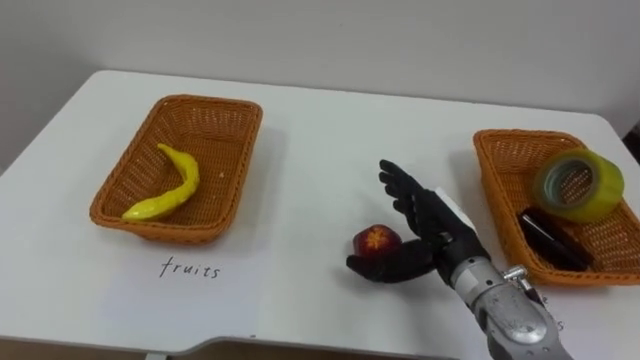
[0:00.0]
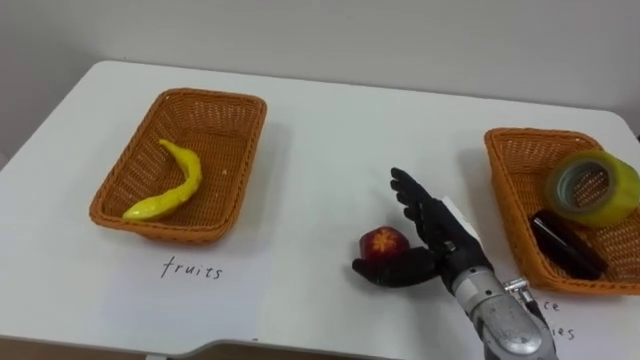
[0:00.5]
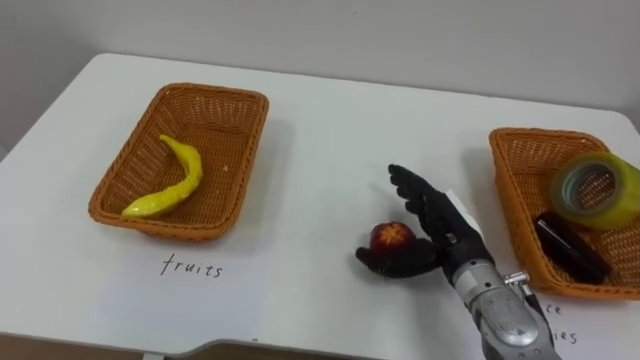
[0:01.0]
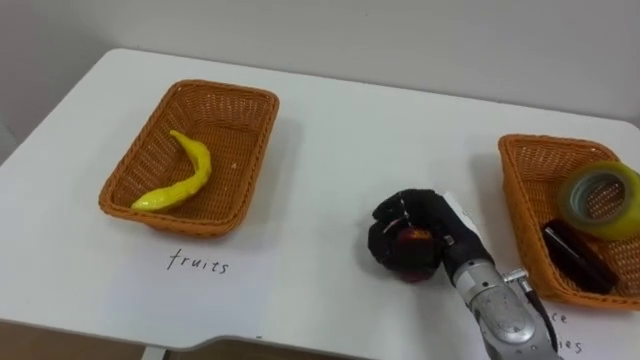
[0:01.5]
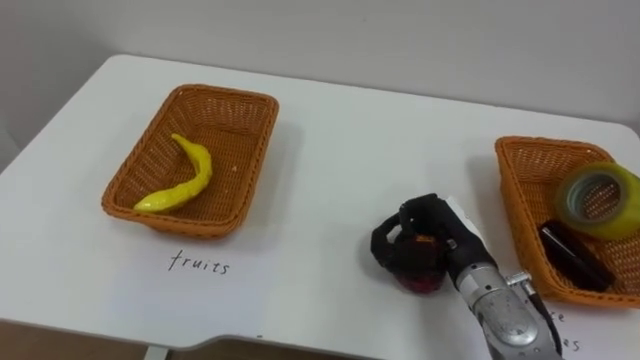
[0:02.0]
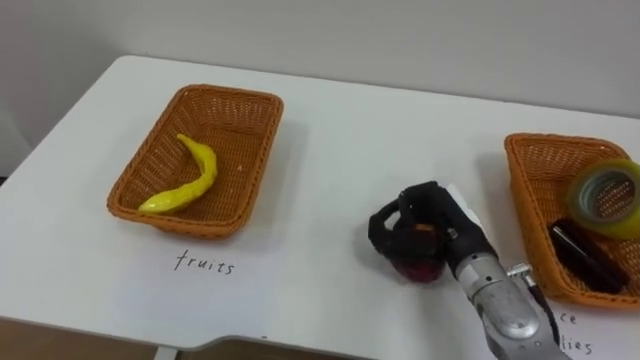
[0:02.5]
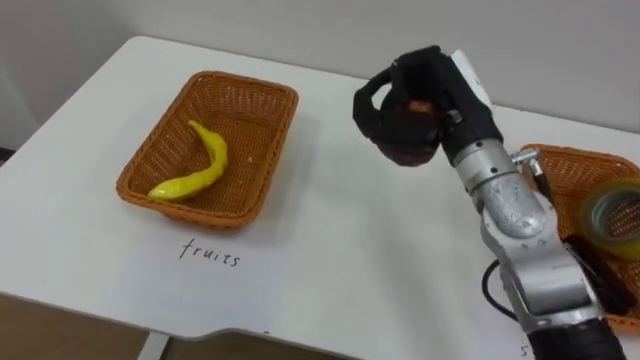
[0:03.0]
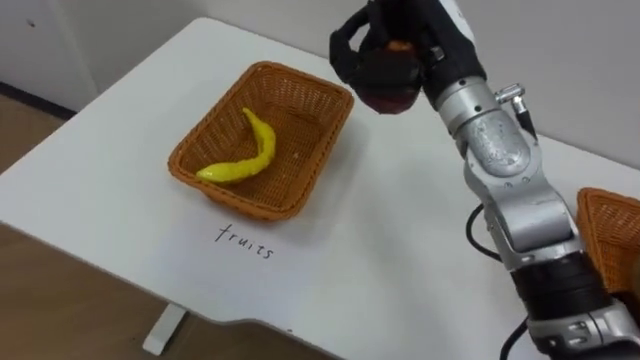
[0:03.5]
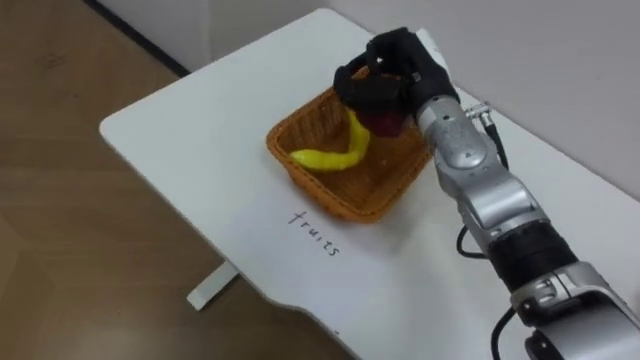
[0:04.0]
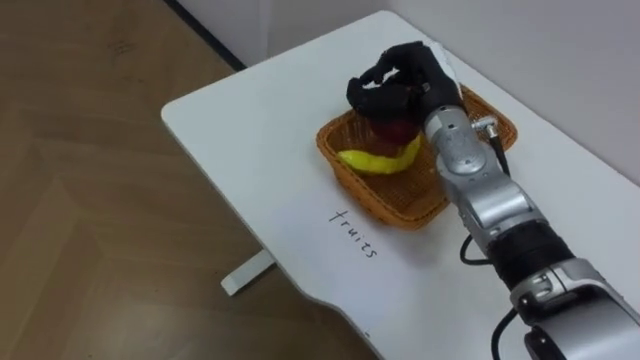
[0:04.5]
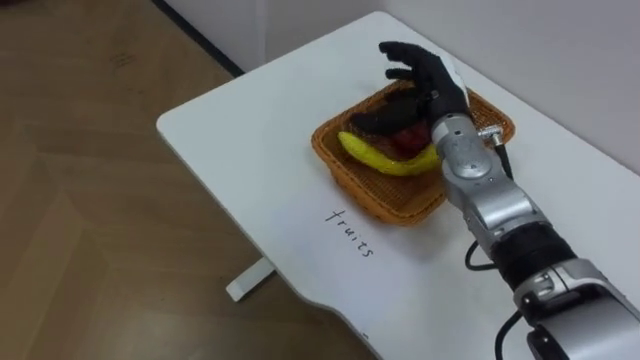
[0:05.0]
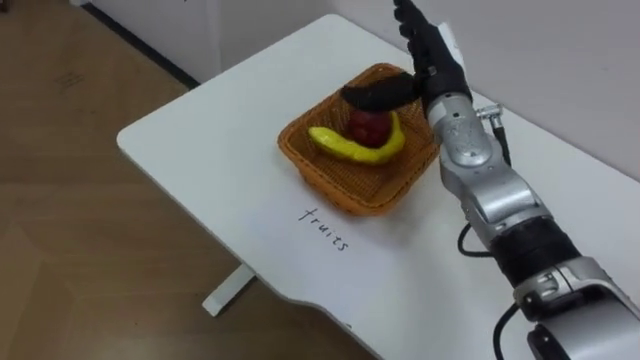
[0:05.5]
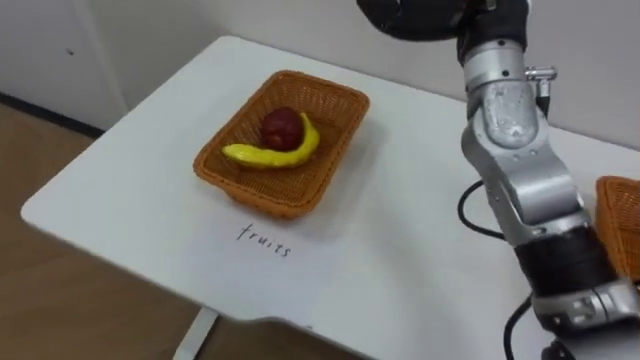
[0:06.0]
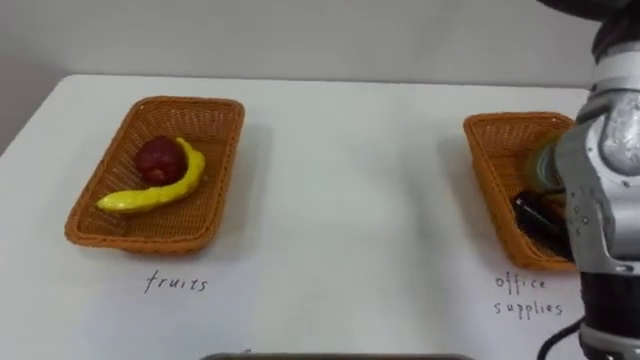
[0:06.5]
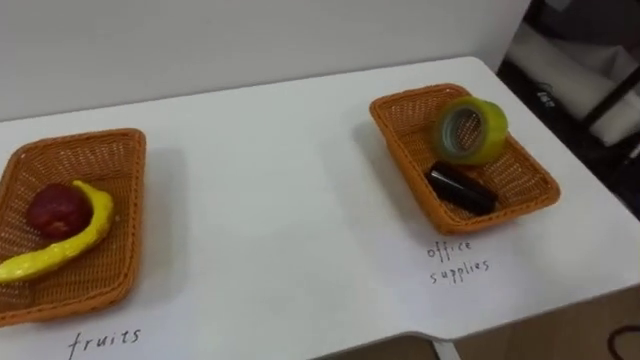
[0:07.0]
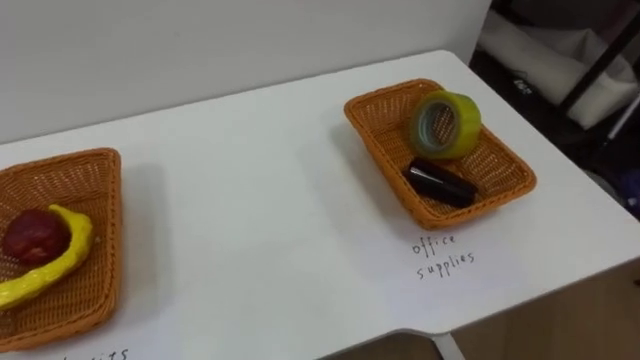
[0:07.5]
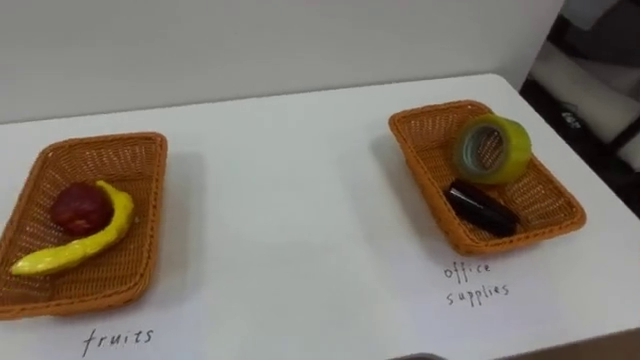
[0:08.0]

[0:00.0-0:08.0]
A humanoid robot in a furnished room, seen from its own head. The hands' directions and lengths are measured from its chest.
Task of the whole recording: Separate the items on the table and place them into the two baskets.
0:00.0 to 0:02.0: The right hand closes.
0:02.0 to 0:04.0: The right hand travels upward, forward and to the left by approximately 20 cm.
0:04.0 to 0:06.0: The right hand shifts roughly 10 cm upward, and opens its fingers.

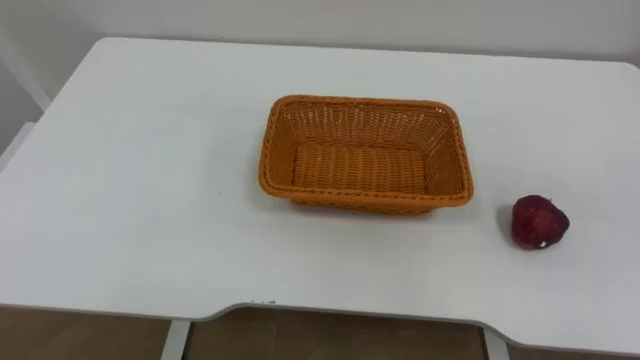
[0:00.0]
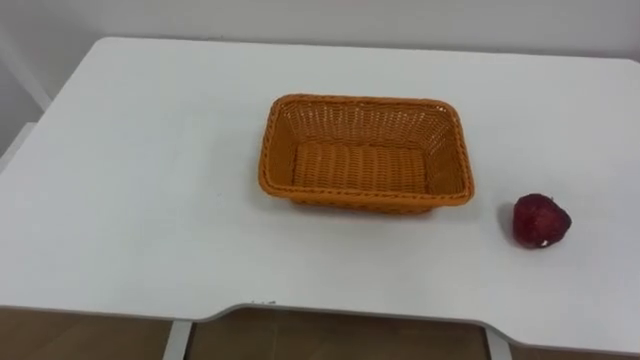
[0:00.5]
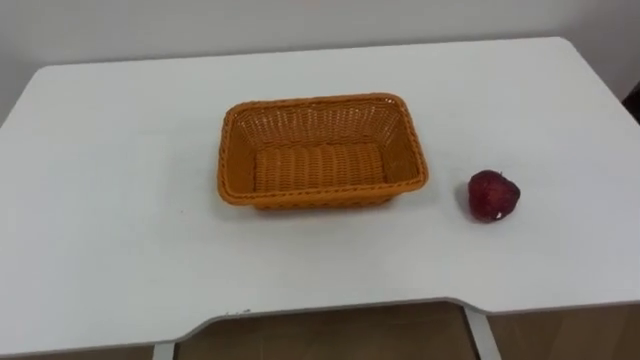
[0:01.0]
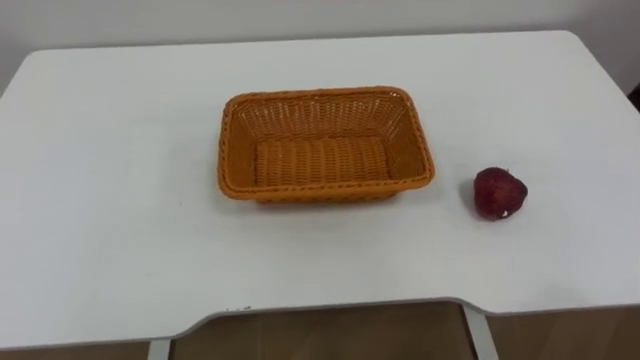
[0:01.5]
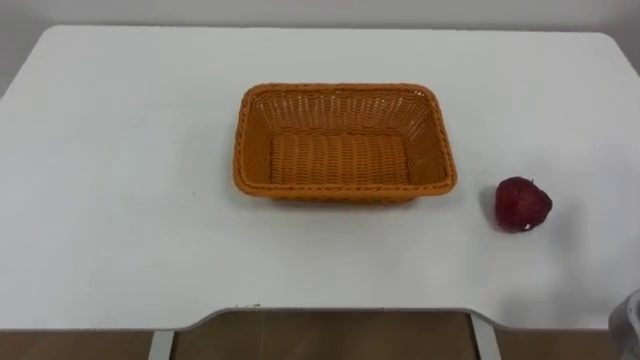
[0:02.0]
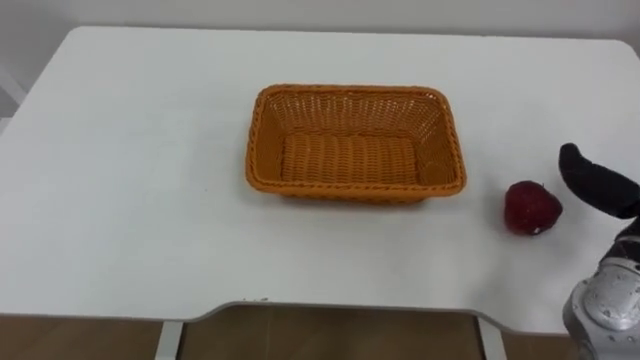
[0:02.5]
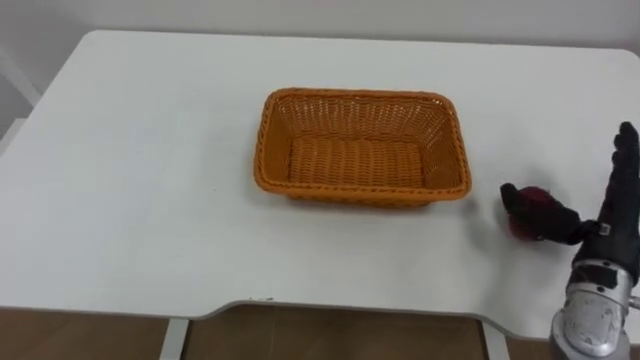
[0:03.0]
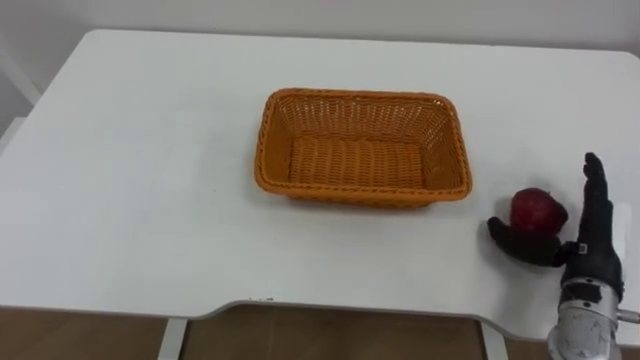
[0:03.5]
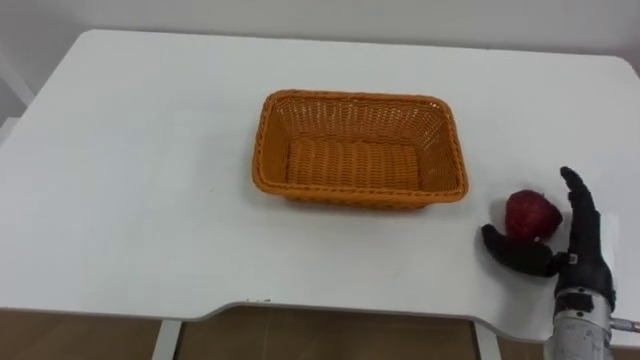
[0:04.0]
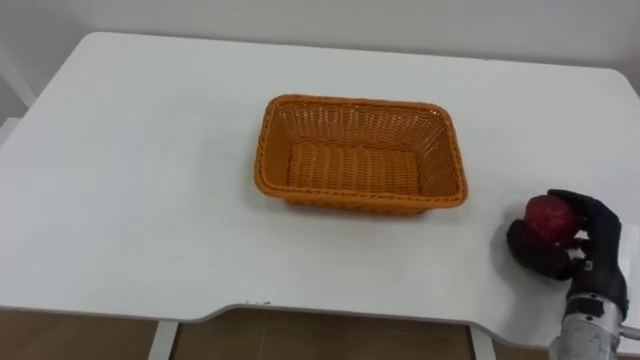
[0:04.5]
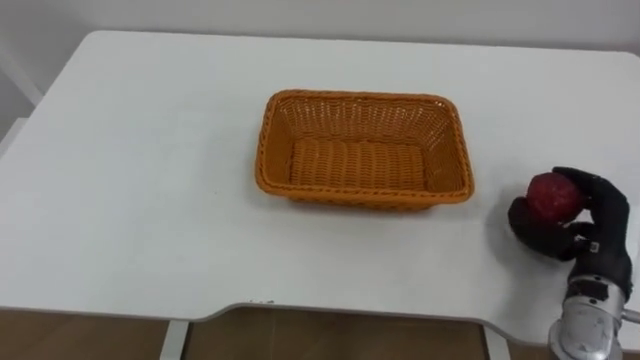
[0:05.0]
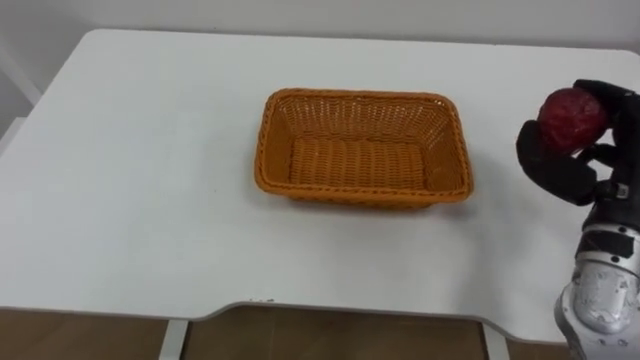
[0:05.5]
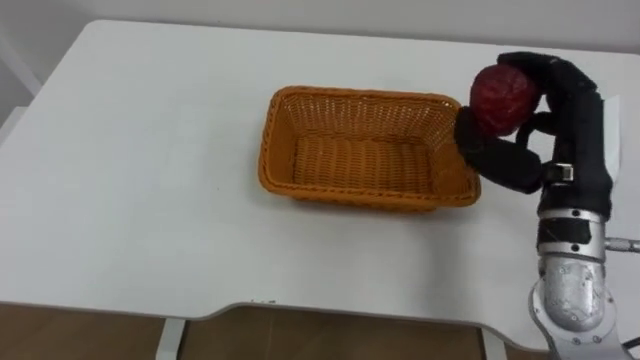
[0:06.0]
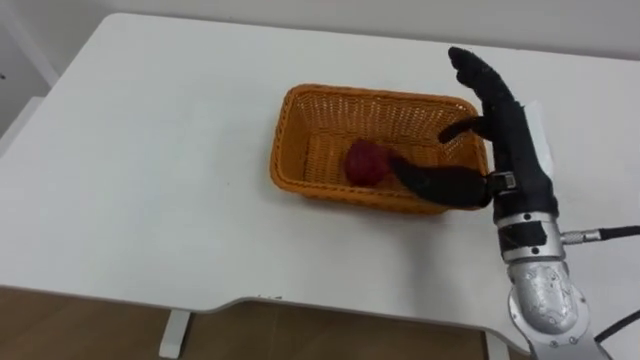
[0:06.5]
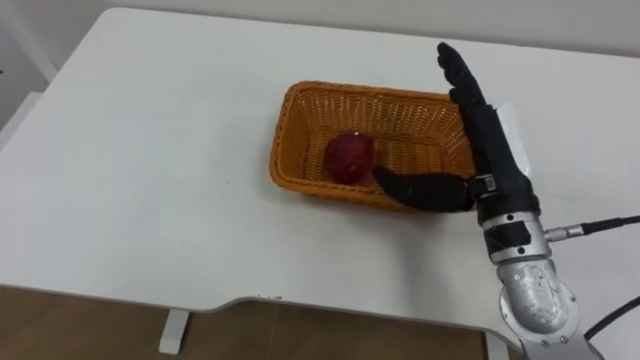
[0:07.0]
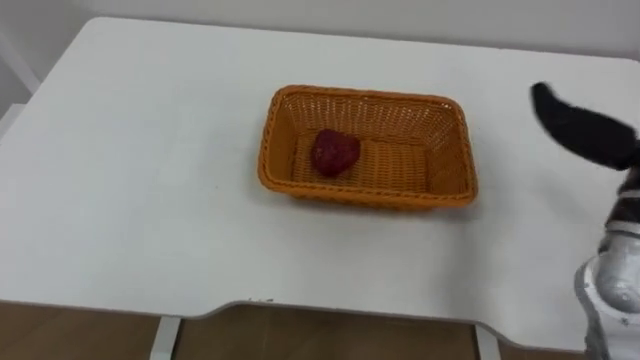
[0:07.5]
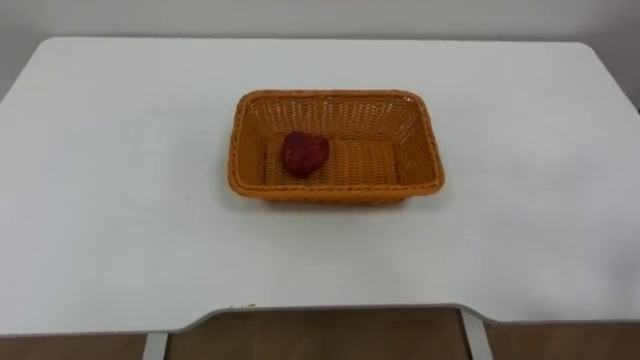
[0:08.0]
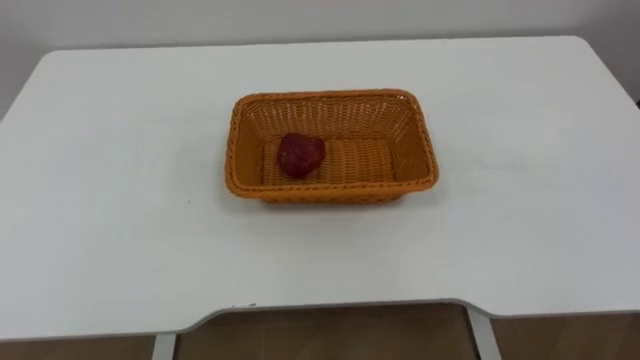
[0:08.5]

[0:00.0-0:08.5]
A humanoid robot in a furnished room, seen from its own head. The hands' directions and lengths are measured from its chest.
Task of the whole recording: Pick the apple and place it in the box.
0:04.0 to 0:06.5: The right hand is displaced upward and to the left by about 20 cm, and closes and opens again.

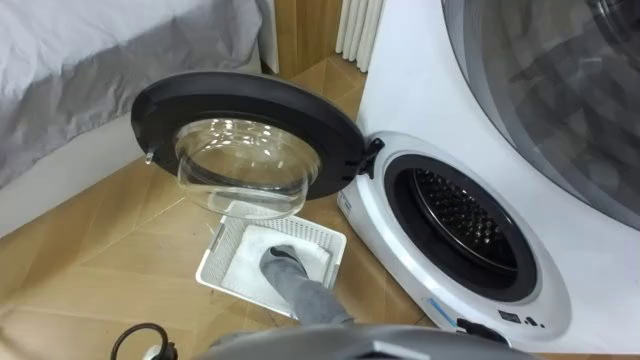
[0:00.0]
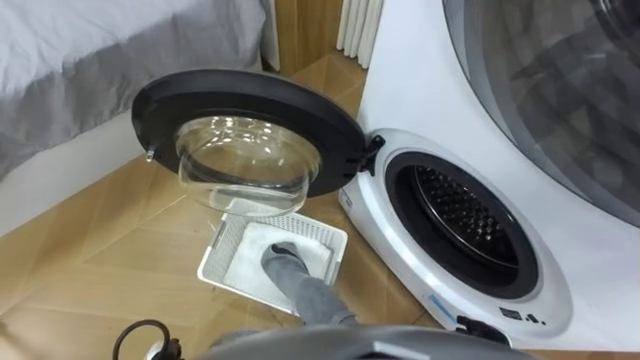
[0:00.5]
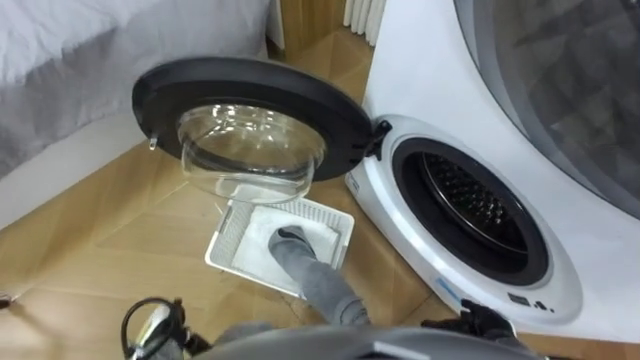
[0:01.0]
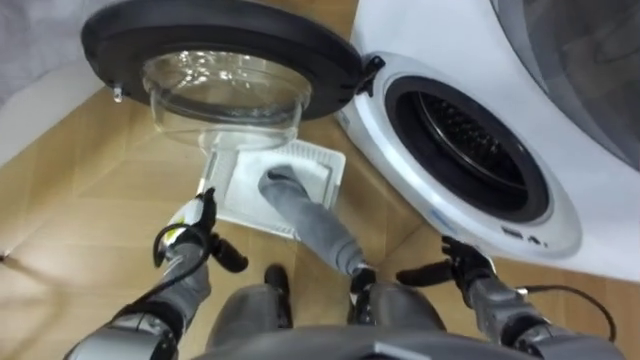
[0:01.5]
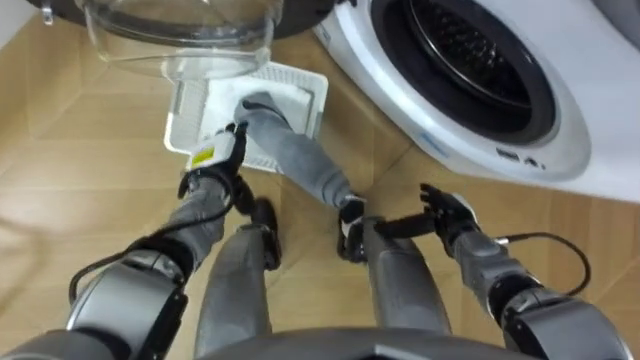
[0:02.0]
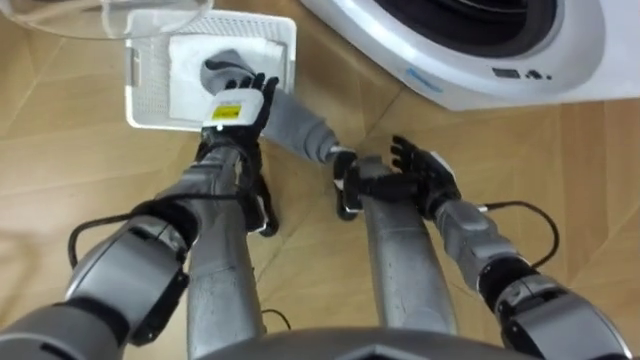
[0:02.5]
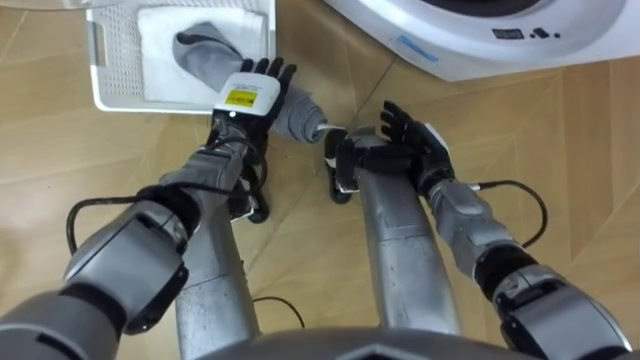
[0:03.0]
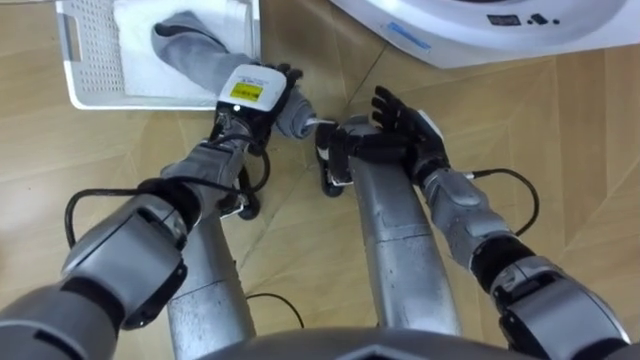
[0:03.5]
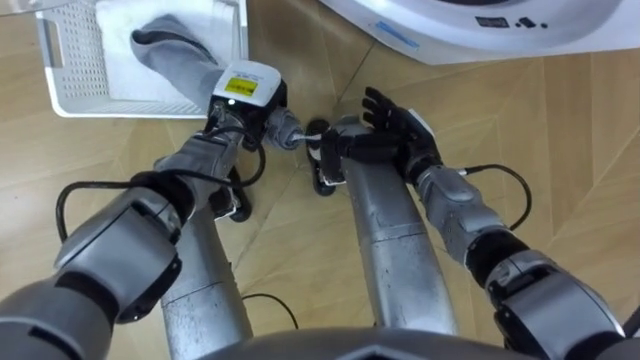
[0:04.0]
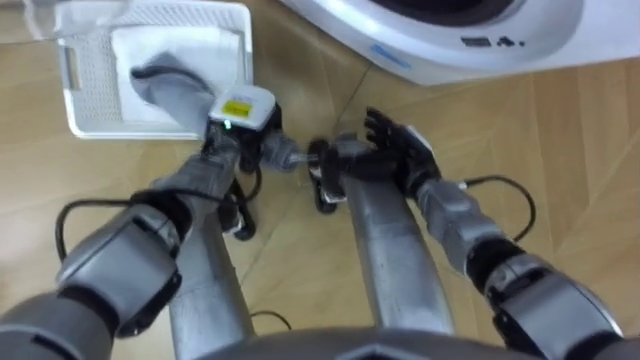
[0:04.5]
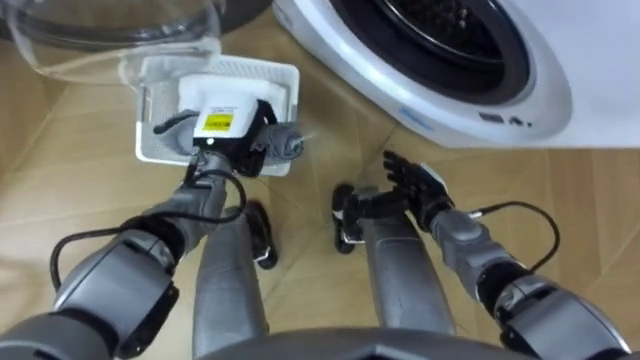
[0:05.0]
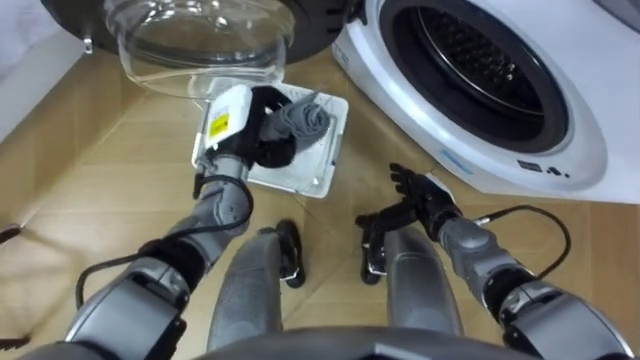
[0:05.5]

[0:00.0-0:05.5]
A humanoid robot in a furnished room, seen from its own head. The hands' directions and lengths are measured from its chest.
Task of the whole recording: Take the towel from the basket and put it into the washing machine.
0:02.0 to 0:03.5: The left hand shifts about 10 cm upward, to the right and forward. The right hand travels forward, upward and to the left by some 15 cm.
0:03.5 to 0:05.5: The left hand closes. Meanwhile the right hand moves downward and backward, approximately 10 cm.
